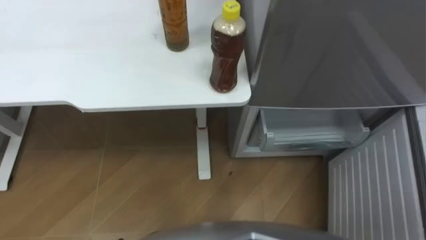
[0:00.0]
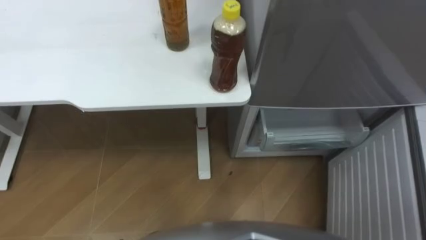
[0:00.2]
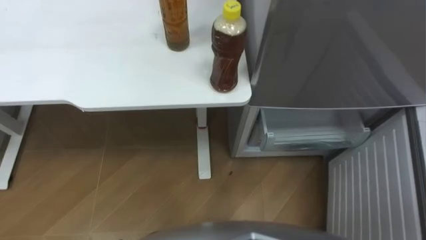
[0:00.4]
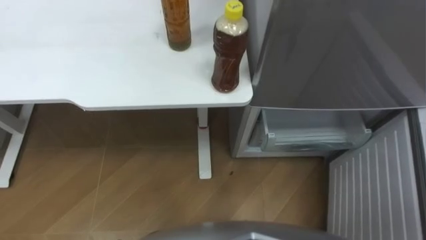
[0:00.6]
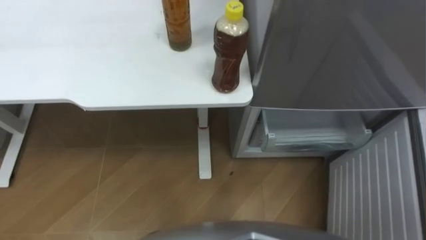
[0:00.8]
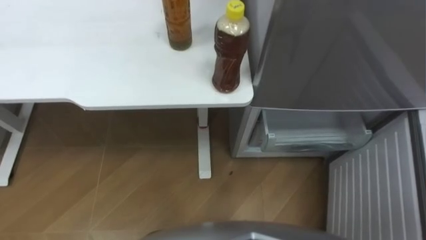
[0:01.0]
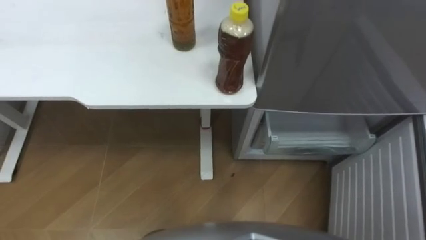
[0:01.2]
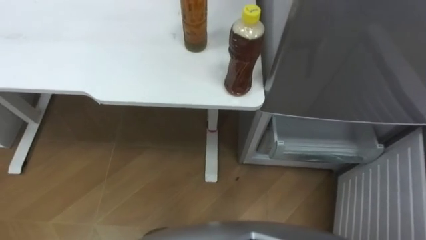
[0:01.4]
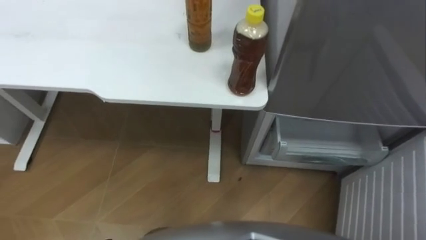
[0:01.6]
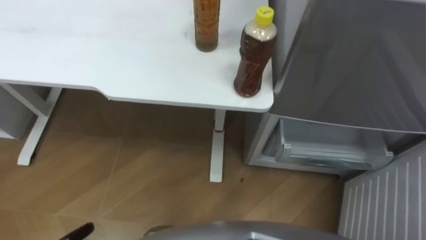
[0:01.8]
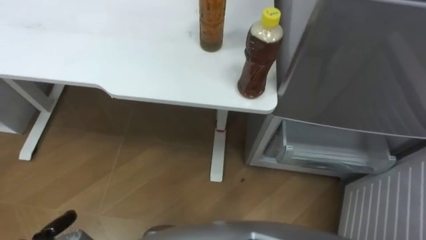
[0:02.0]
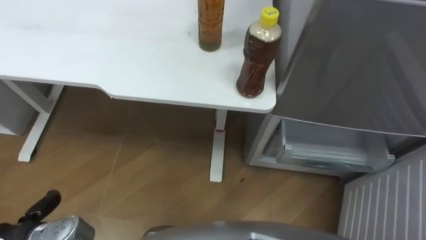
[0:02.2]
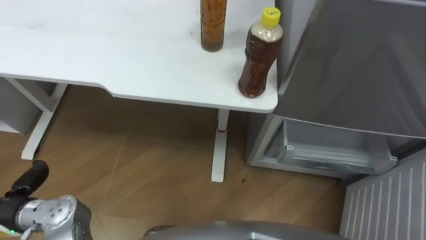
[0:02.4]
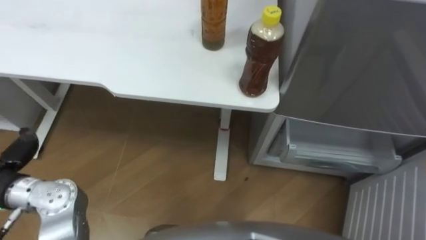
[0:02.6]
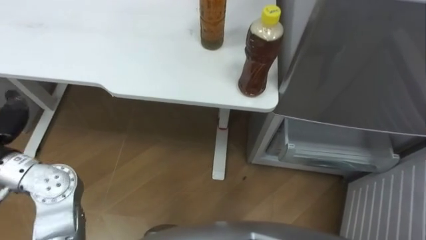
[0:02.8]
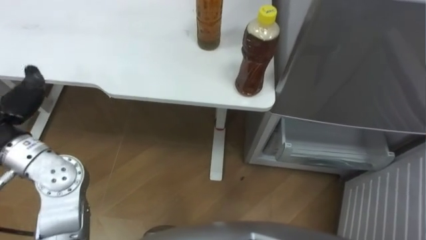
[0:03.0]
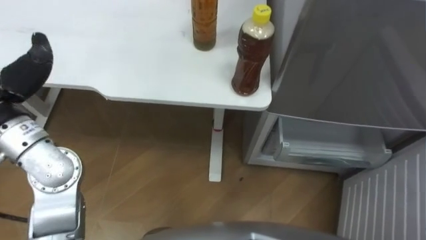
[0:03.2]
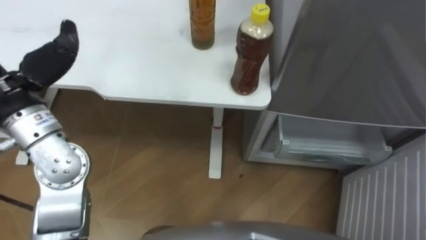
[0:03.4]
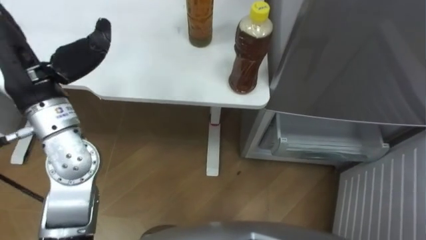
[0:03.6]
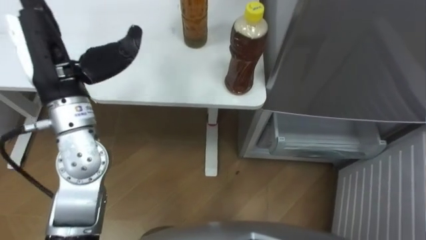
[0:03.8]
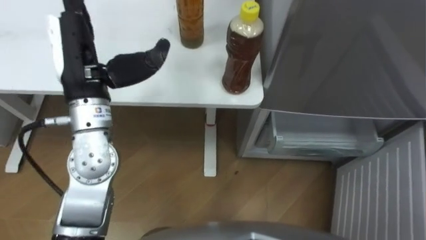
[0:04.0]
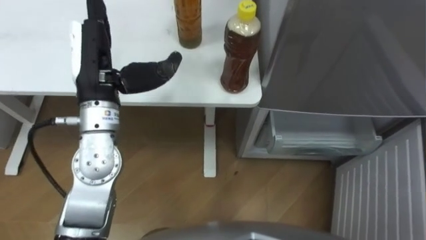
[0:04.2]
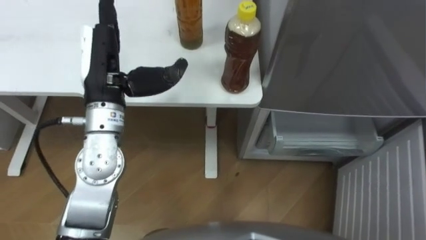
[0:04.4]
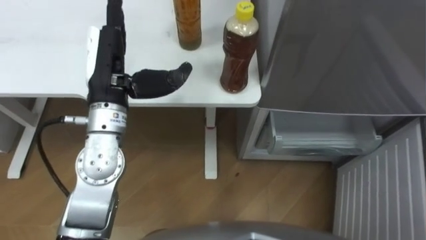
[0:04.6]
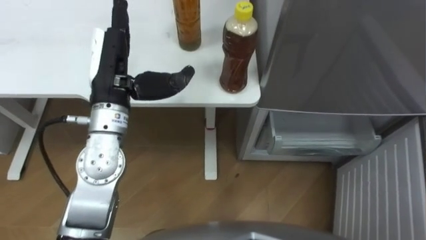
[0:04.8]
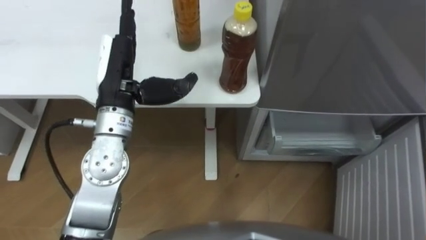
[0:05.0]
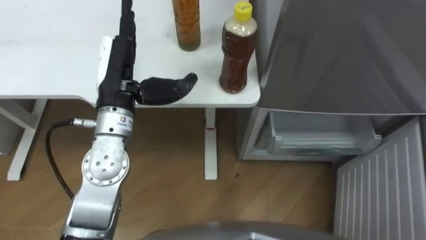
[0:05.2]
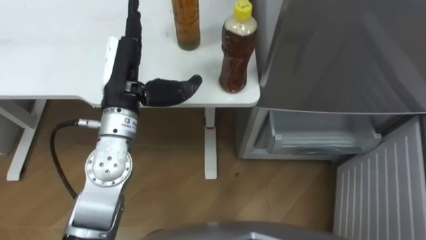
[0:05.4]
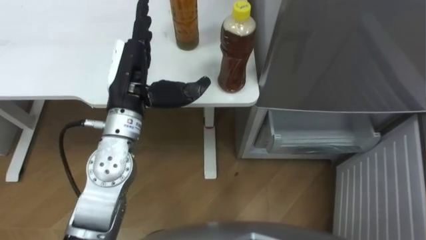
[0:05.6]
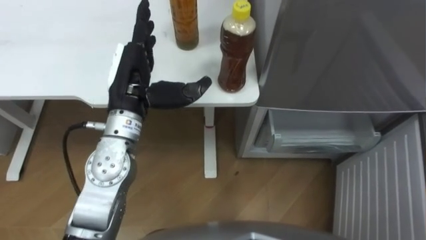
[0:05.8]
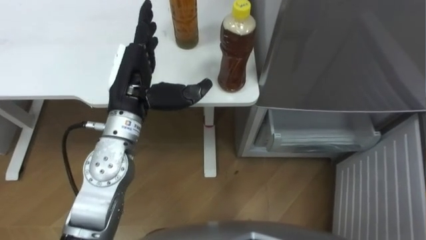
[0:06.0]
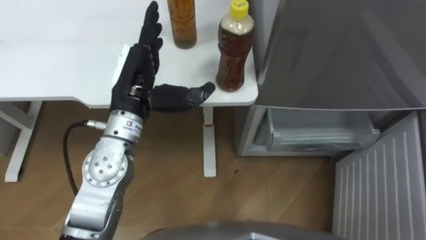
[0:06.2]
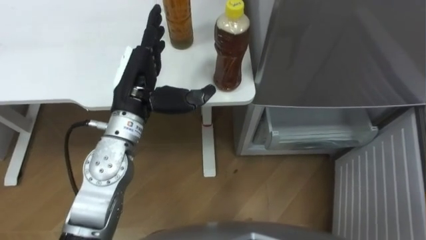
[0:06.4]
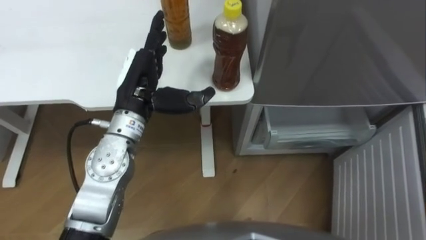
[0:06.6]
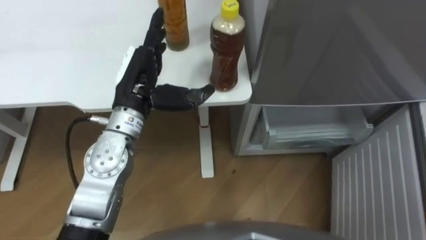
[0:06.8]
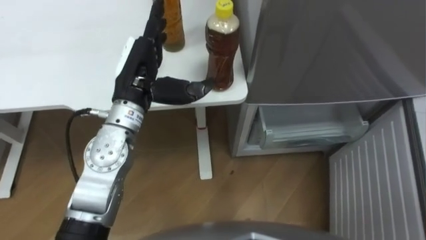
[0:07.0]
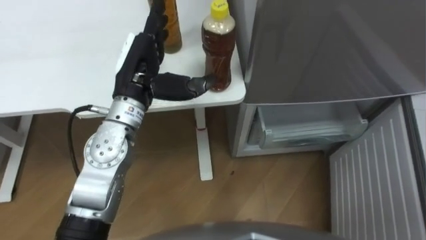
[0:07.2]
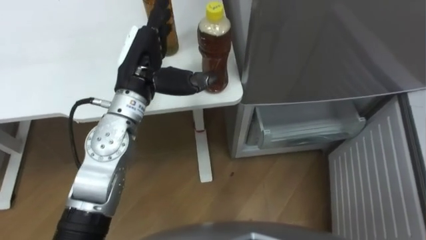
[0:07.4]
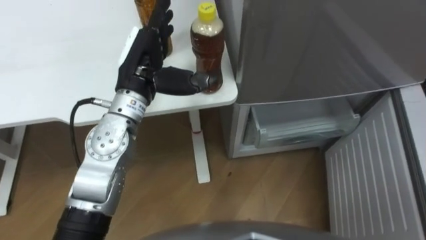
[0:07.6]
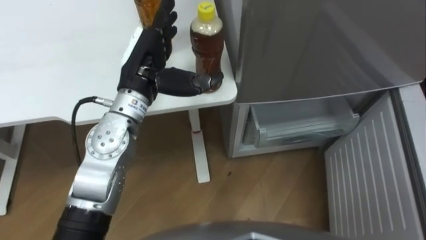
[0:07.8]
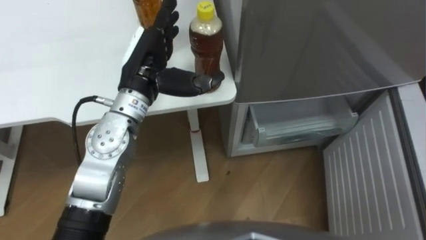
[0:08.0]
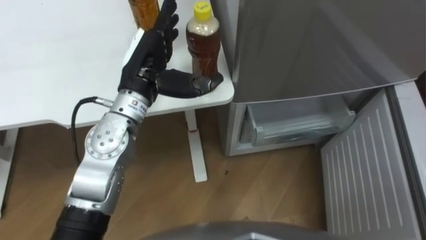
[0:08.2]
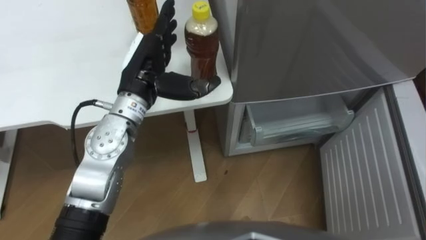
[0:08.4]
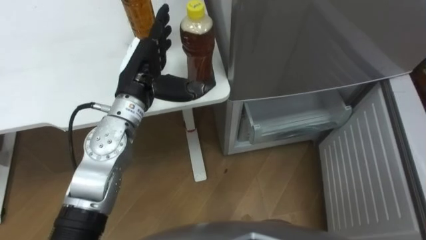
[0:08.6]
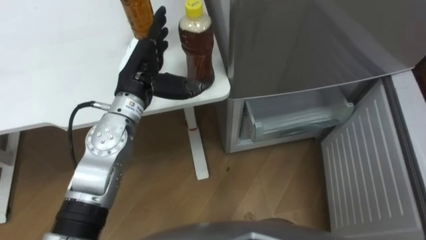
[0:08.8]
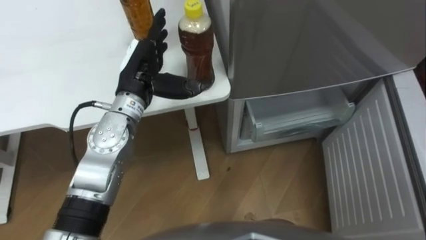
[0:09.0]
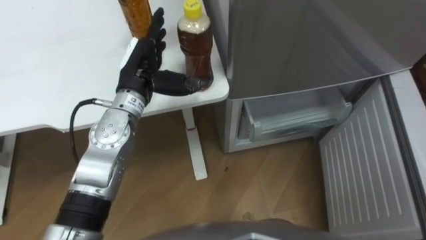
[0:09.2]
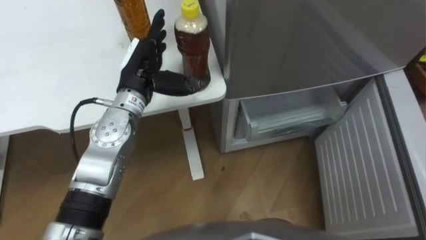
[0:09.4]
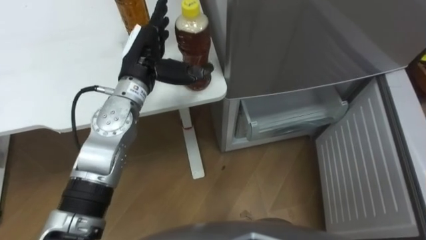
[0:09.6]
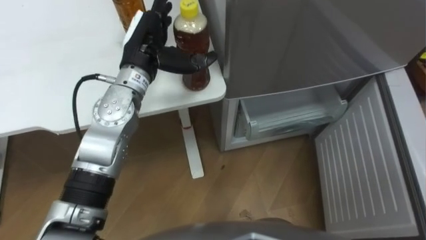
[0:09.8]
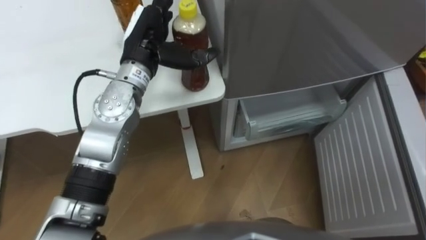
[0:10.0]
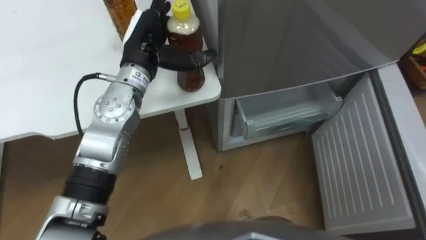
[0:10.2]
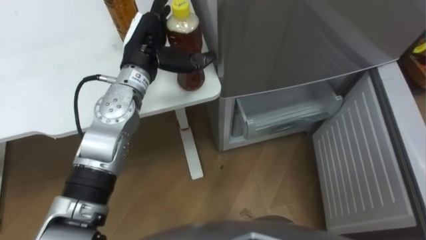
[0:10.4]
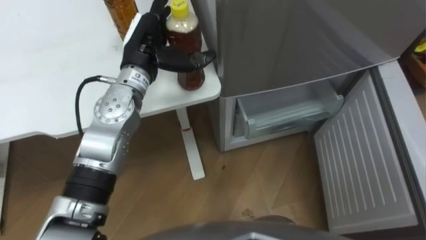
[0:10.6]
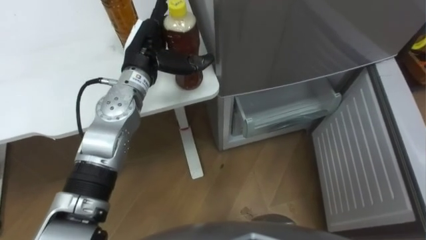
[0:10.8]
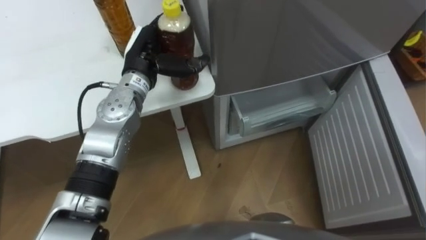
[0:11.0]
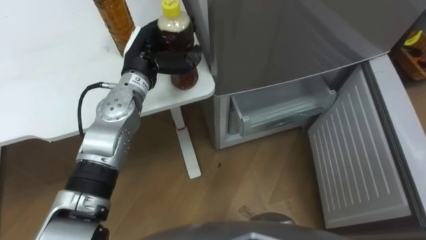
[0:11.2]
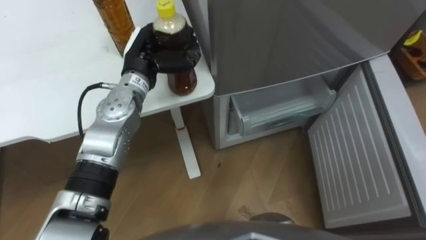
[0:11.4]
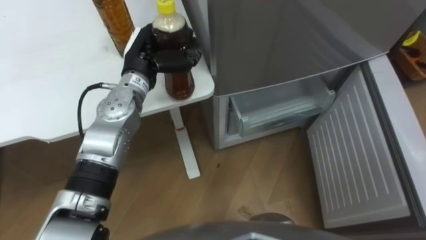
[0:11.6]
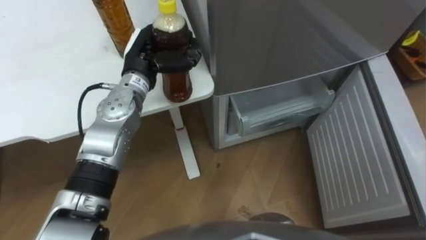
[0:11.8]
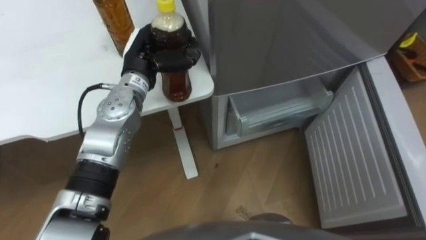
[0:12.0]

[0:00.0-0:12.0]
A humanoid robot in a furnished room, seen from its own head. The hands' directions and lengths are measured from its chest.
Task of the whole recording: Place the drink on the table on the bottom shelf of the refrigerator, then close the drawer and the refrigerator door.
0:10.4 to 0:12.0: The left hand closes up.

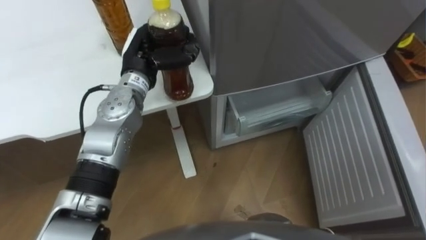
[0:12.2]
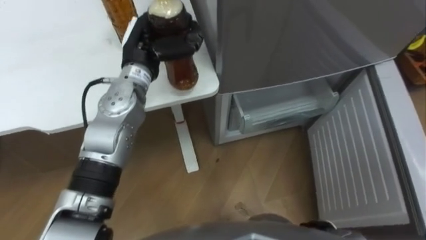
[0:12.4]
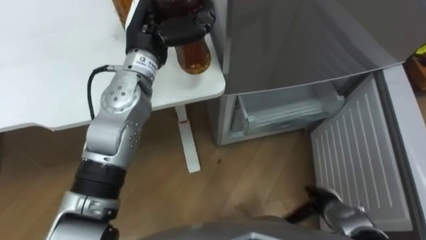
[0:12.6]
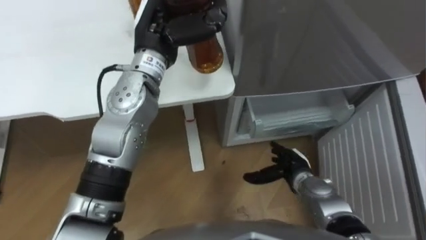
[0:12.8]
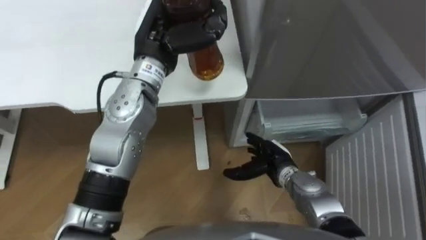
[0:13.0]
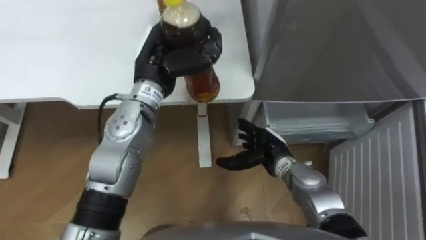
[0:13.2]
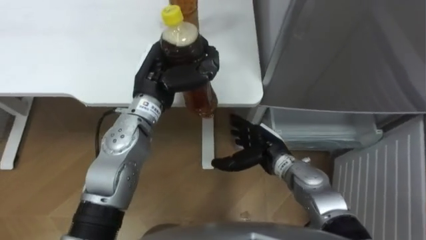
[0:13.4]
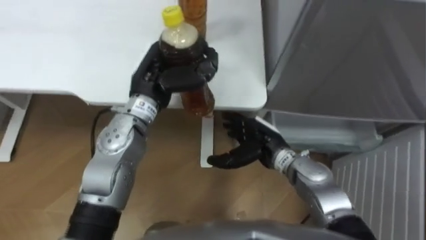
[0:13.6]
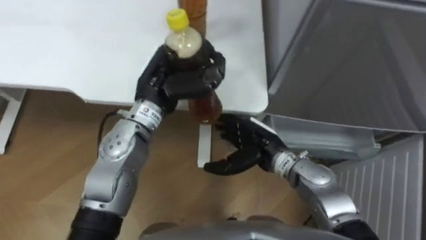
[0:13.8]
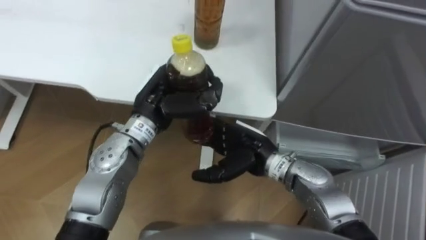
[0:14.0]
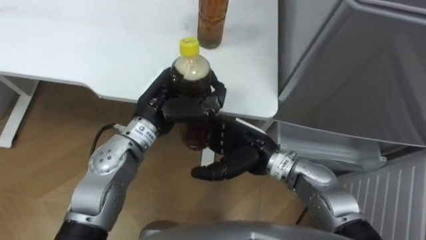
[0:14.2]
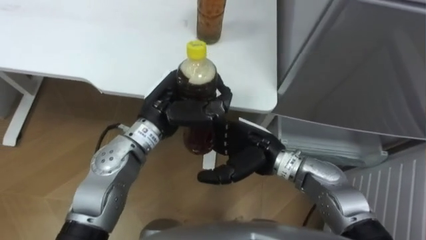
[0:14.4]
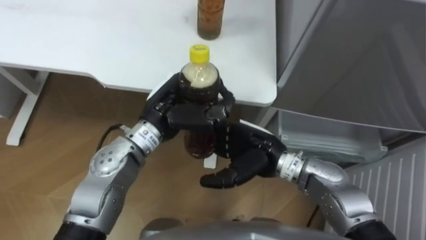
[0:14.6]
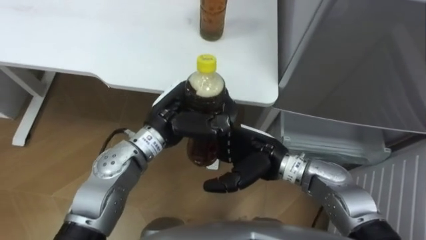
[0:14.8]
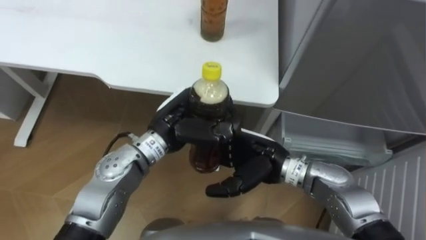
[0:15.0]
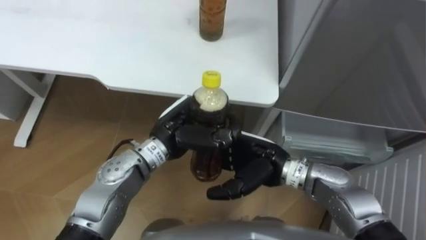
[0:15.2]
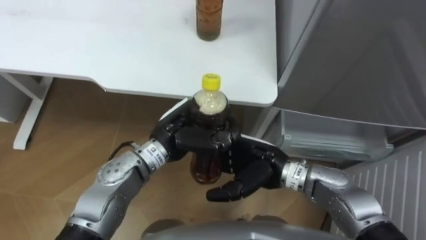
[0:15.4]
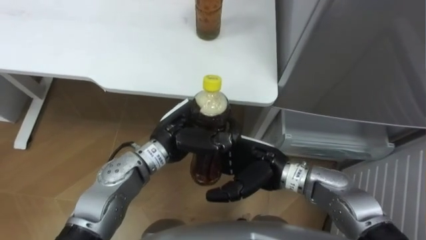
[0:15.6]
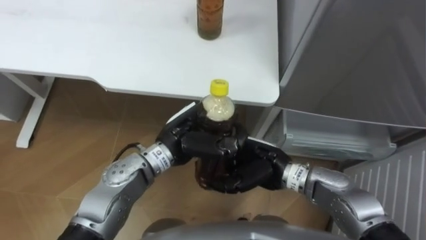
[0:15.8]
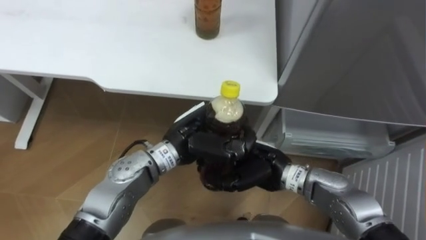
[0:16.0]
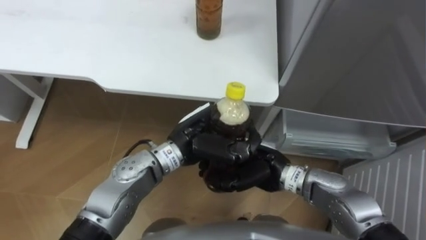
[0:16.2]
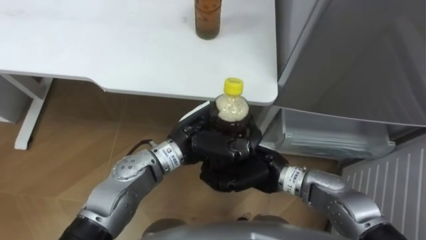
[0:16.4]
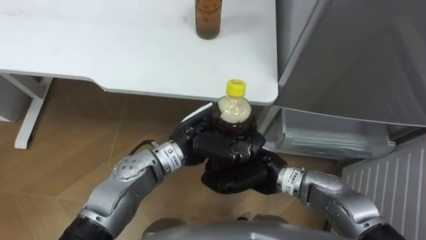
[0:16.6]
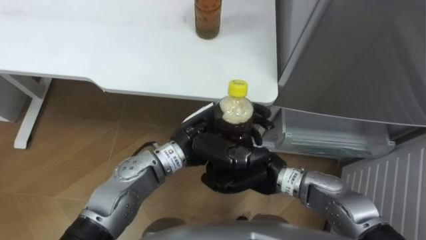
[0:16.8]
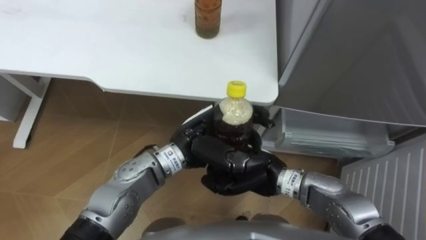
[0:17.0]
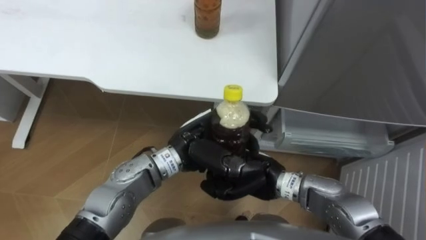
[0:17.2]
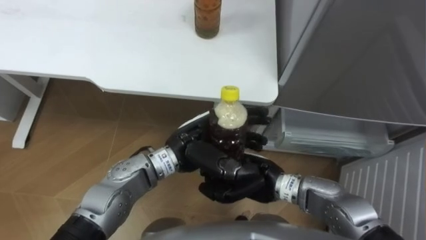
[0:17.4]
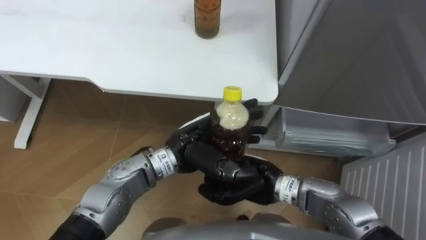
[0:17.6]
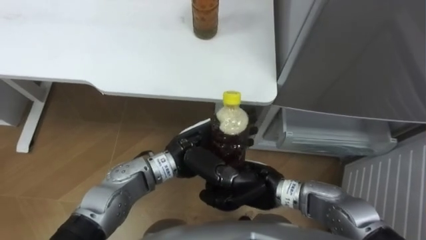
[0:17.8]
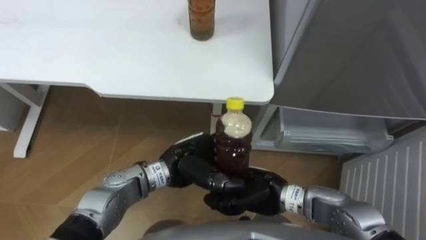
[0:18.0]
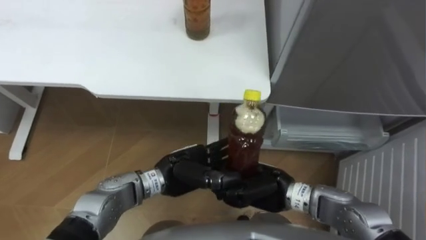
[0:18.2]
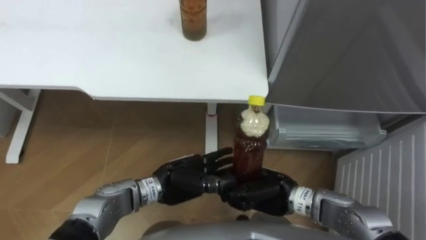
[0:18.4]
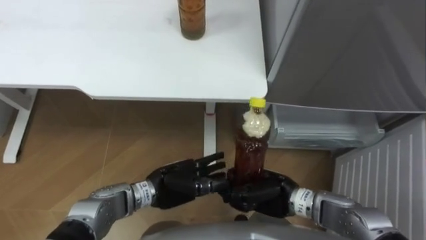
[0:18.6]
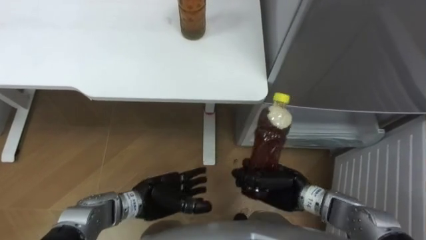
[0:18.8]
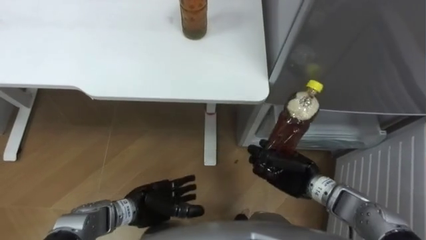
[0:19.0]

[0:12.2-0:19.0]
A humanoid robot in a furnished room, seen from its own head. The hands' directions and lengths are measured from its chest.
Task of the whole recording: Place the drink on the table on the bottom shelf of the refrigerator, then close the drawer and the refrigerator door.
0:12.2 to 0:13.6: The left hand heads backward, covering about 5 cm, and reaches some 10 cm upward, then returns.
0:13.6 to 0:15.0: The right hand ends up about 5 cm from where it was. Meanwhile the left hand goes about 5 cm backward.
0:15.0 to 0:16.2: The right hand closes.
0:16.2 to 0:17.6: The left hand opens its fingers.
0:17.6 to 0:19.0: The right hand heads to the right, covering some 10 cm, while the left hand is displaced downward, to the left and backward by approximately 20 cm.
